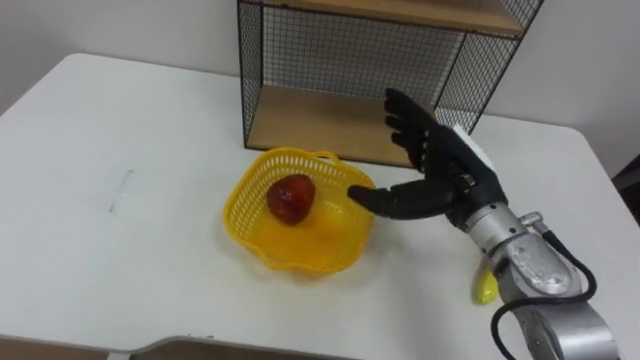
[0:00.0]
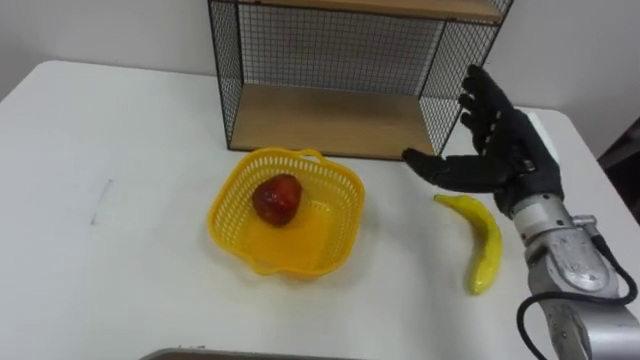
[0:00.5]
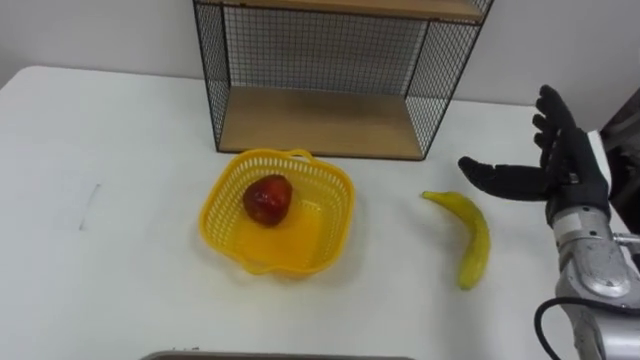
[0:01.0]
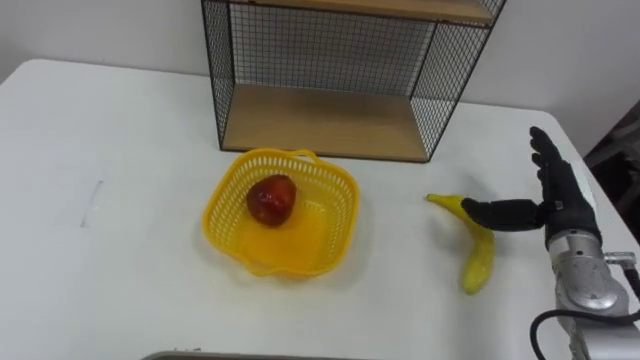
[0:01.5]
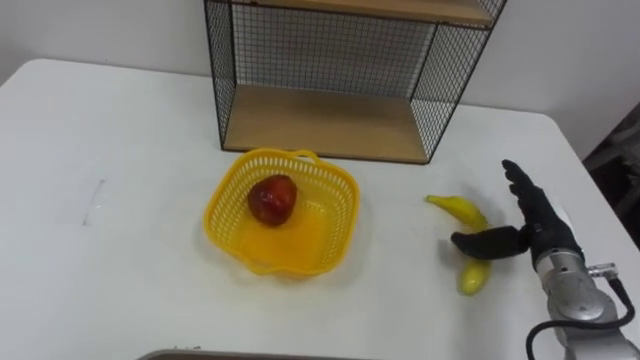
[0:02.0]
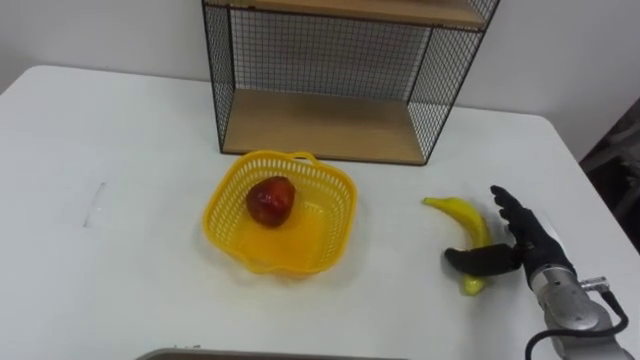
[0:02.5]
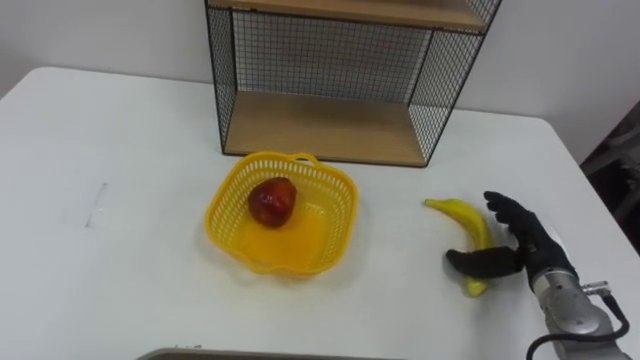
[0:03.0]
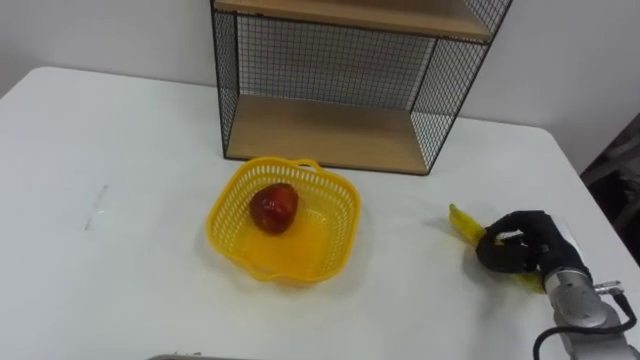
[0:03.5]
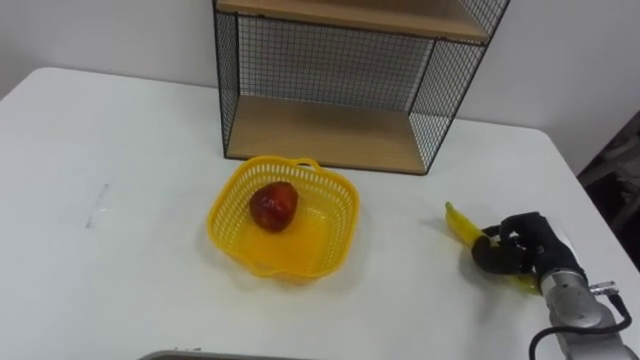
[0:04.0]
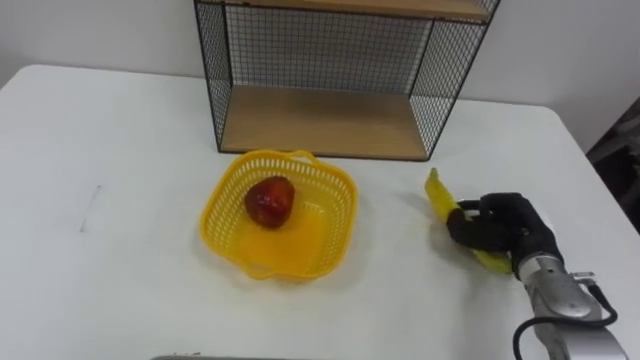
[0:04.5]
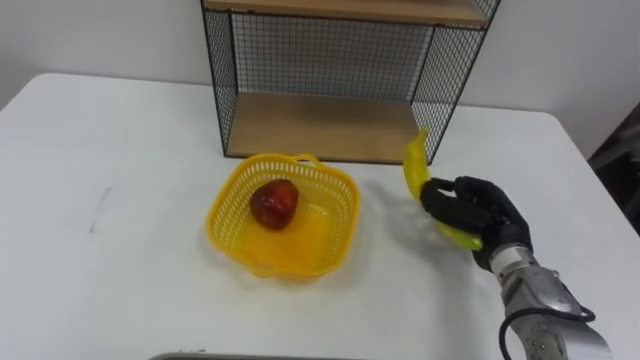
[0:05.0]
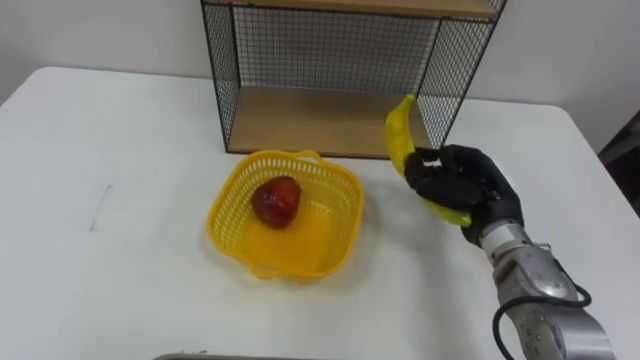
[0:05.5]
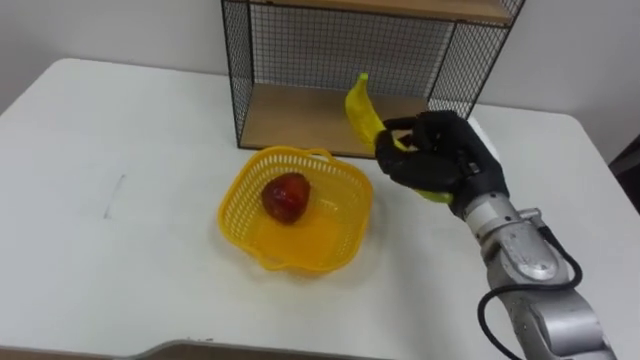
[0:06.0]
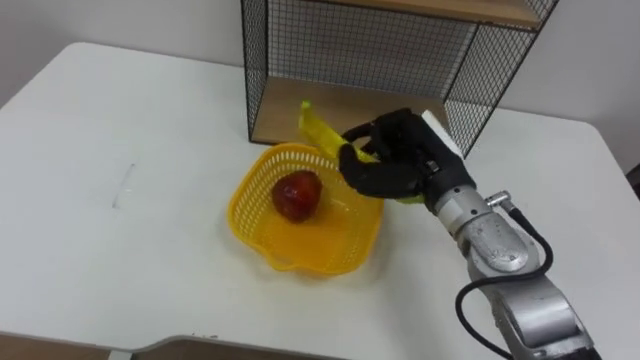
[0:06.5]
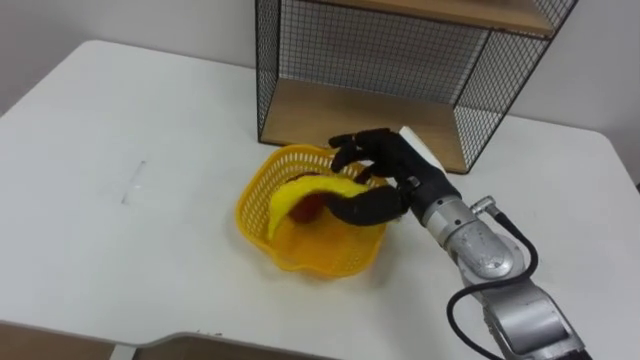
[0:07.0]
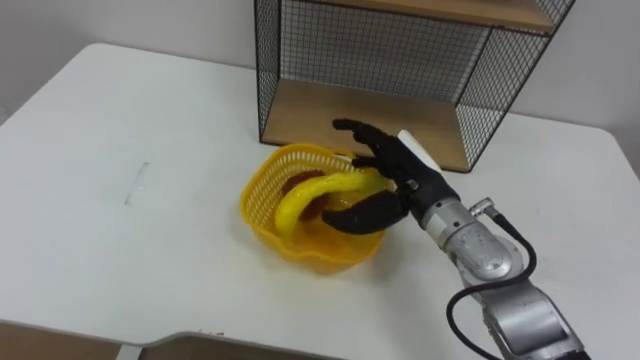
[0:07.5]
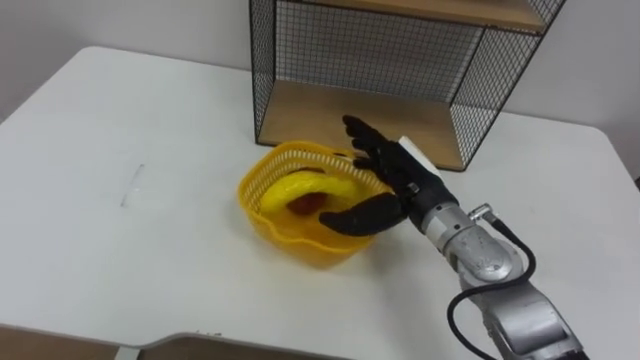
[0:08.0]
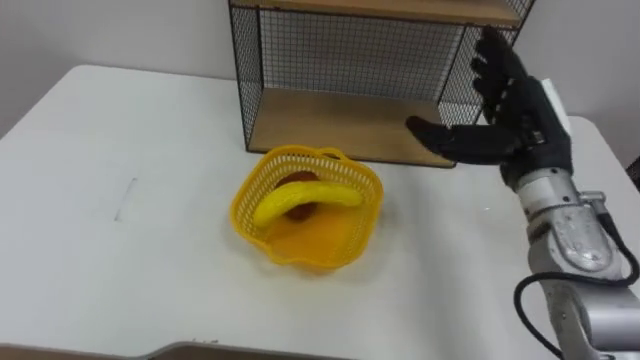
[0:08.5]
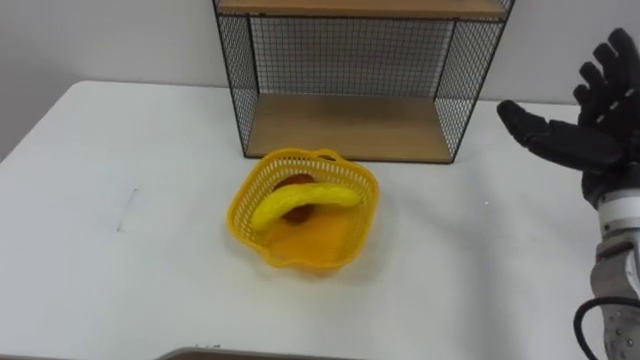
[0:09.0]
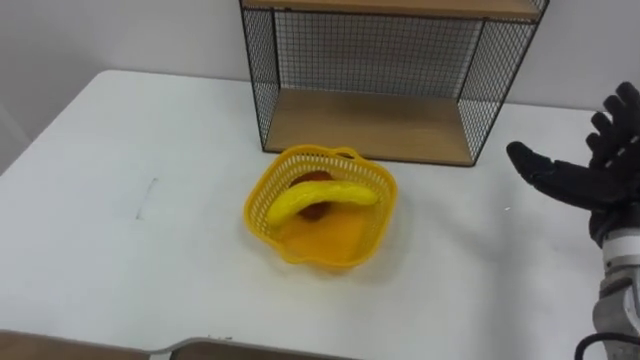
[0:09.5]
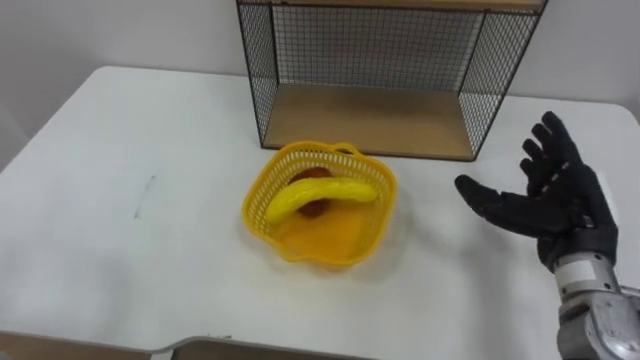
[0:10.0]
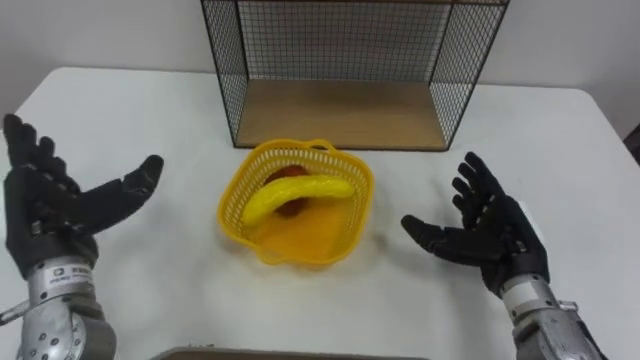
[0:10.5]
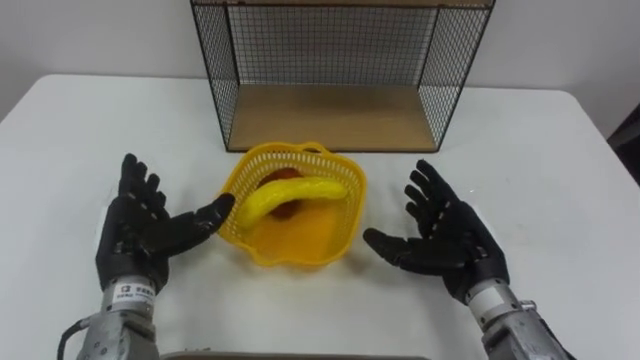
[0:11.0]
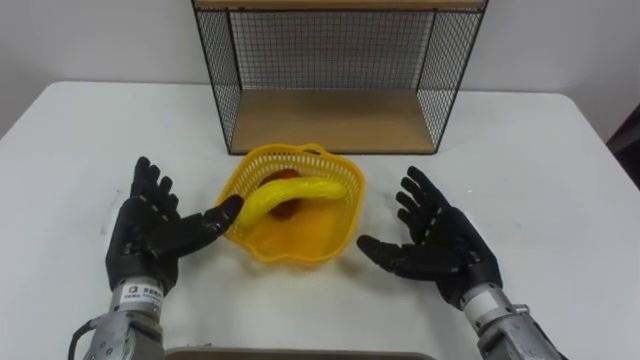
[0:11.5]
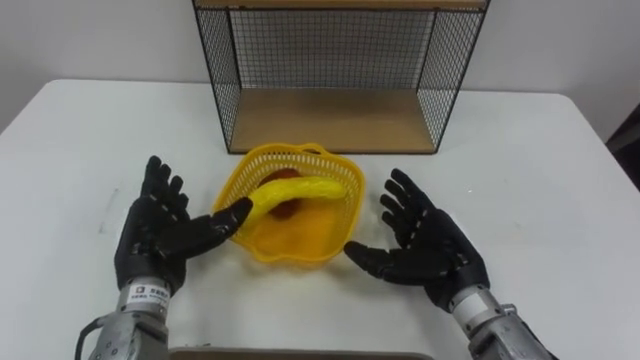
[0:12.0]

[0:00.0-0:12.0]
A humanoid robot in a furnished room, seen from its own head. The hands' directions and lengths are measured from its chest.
Task of the whole recording: Put the fruit on the table into the basket, then place the basket on the shelf.
0.0 to 2.0 s: The right hand heads to the right and downward, covering about 15 cm.
2.0 to 4.0 s: The right hand moves roughly 5 cm, and closes its fingers.
4.0 to 6.0 s: The right hand moves upward and to the left, about 20 cm.
6.0 to 8.0 s: The right hand shifts about 5 cm to the left, and opens up.
10.0 to 12.0 s: The right hand travels to the left and downward by approximately 15 cm.

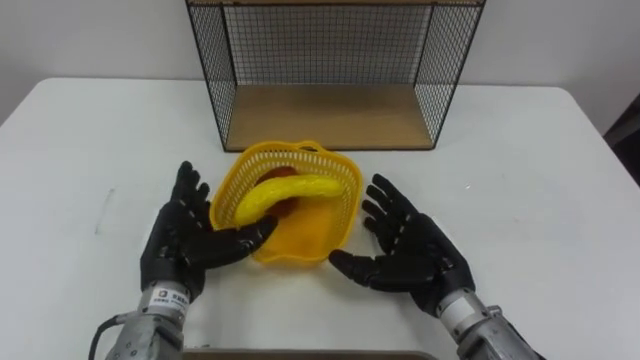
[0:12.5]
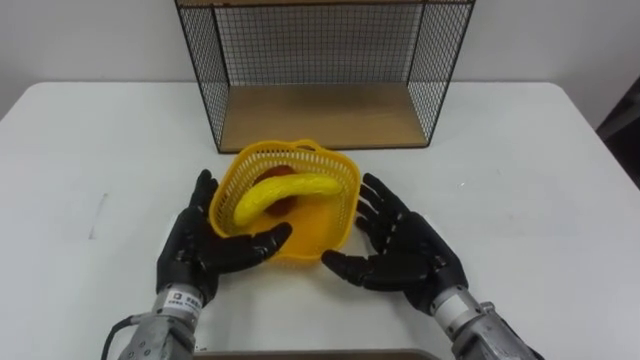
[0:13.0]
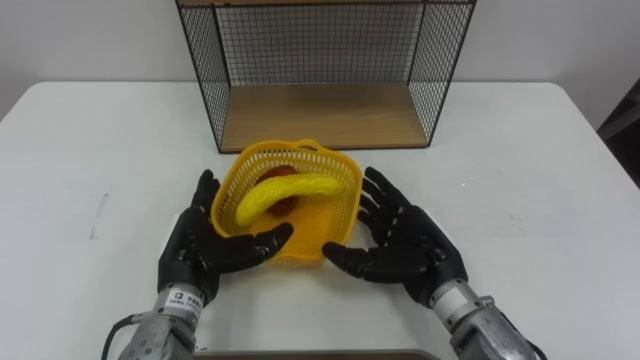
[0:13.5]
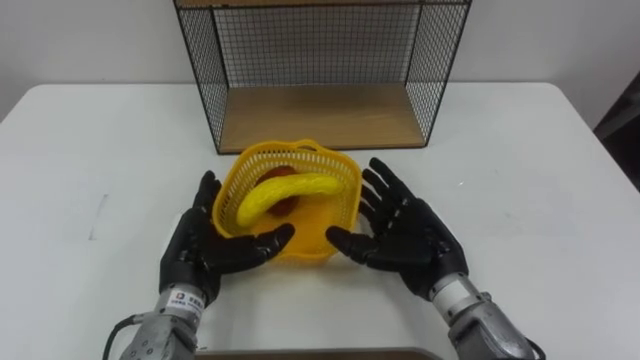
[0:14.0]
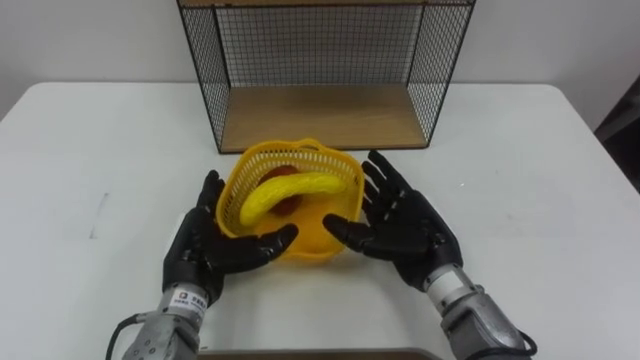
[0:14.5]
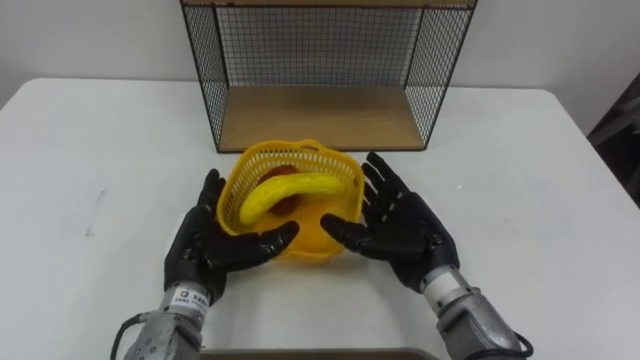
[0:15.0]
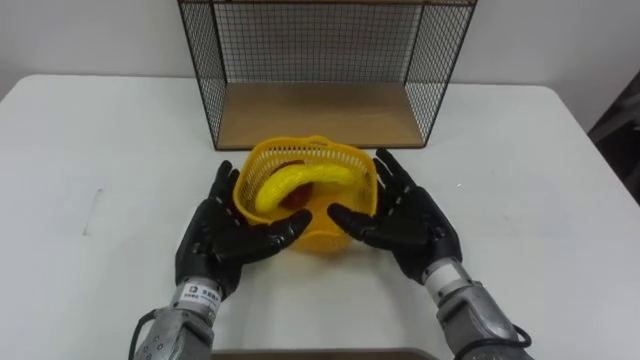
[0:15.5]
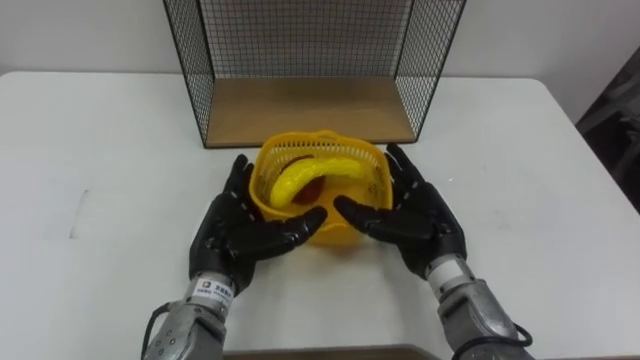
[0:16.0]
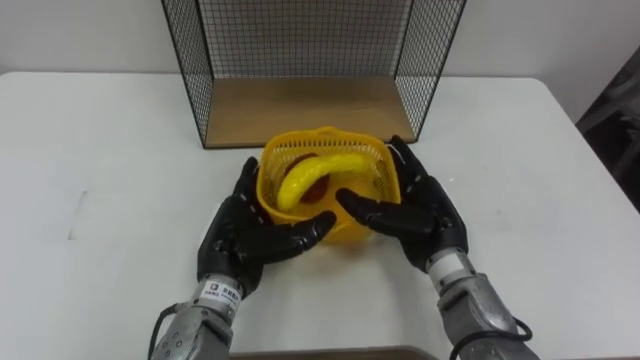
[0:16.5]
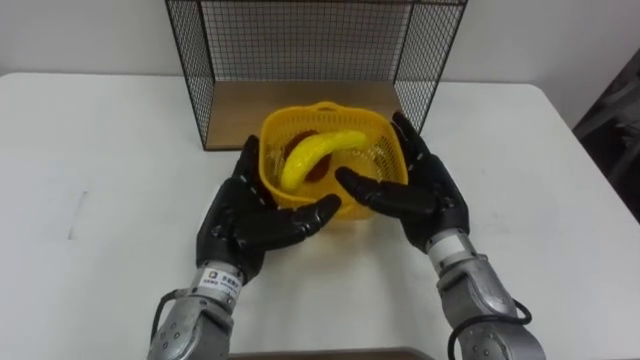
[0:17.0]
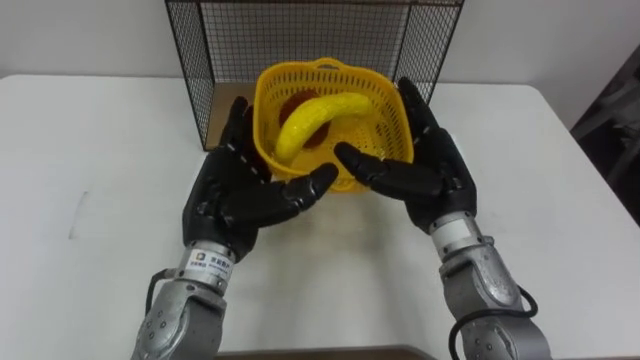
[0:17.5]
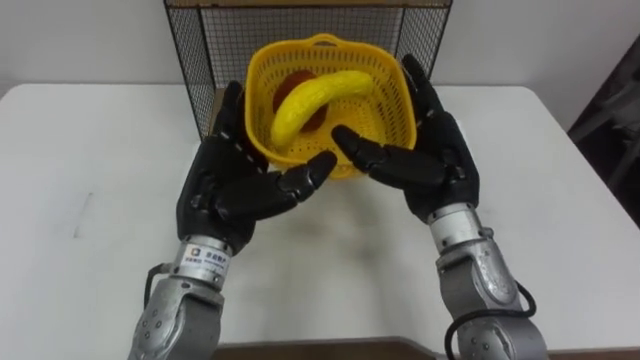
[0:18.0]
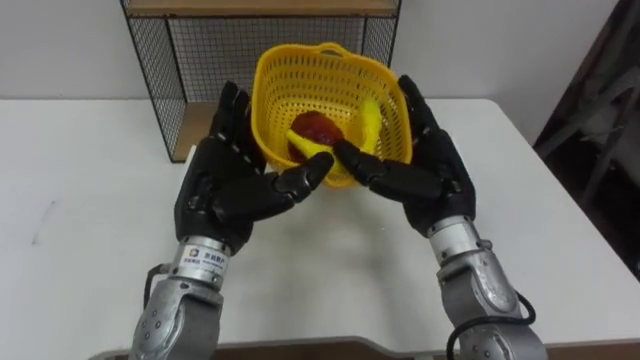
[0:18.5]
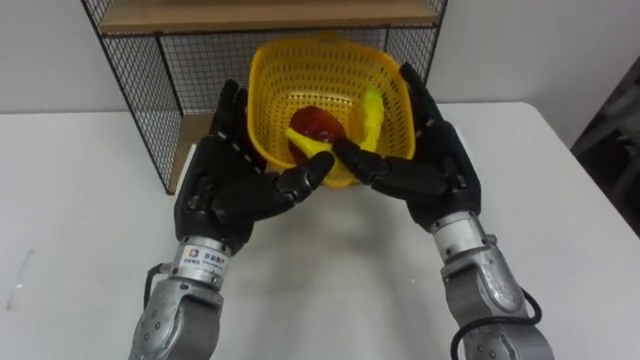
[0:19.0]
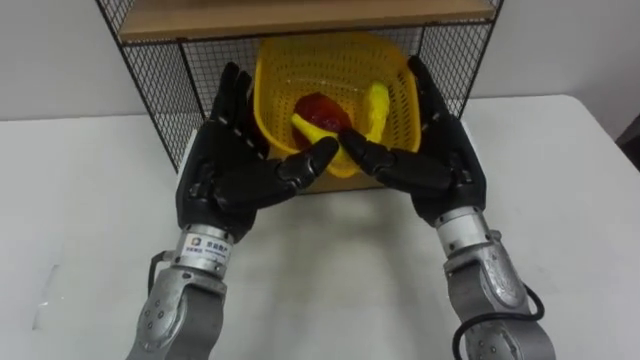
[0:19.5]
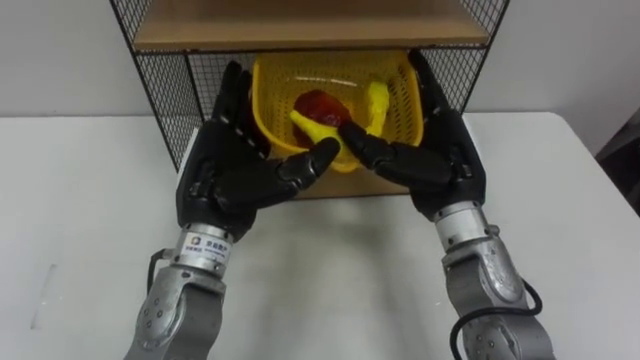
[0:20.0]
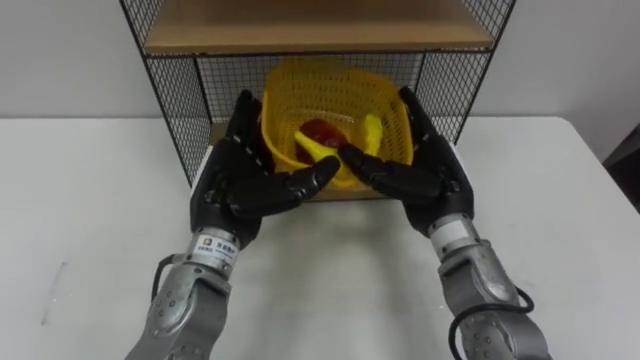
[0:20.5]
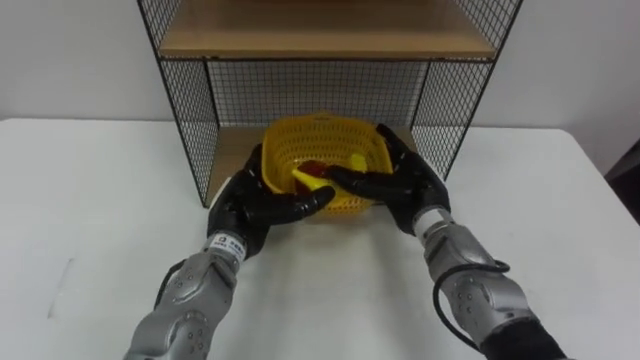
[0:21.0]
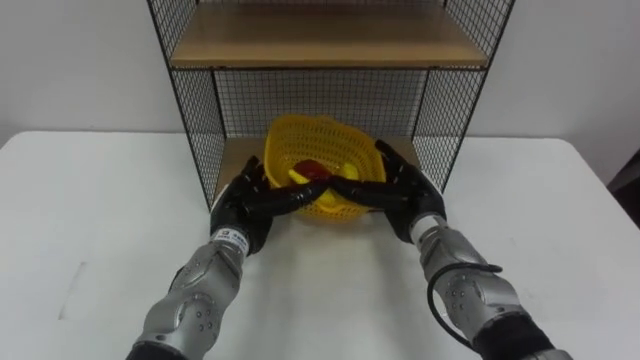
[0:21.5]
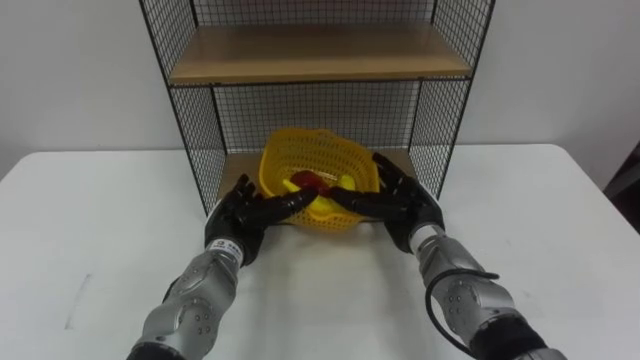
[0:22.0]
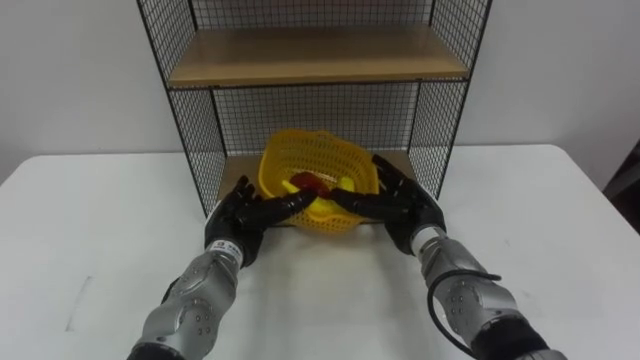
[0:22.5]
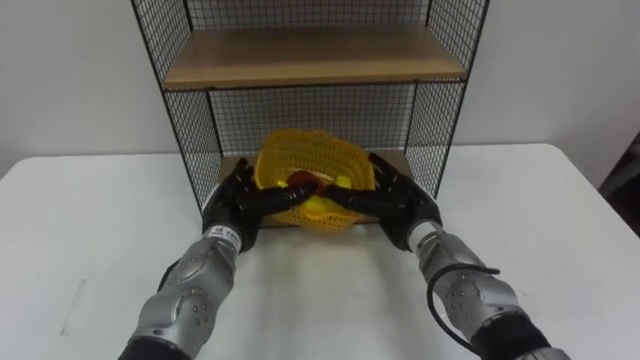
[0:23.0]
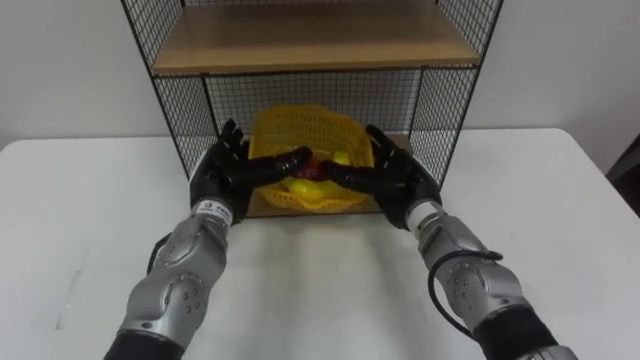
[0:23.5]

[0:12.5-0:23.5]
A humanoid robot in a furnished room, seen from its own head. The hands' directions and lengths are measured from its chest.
Task of the whole recording: Put the fruit on the table into the basket, then place the basket on the shelf.
12.5 to 14.5 s: The hands stay close to where they were, moving slightly.
16.0 to 18.0 s: Both hands move upward, some 10 cm.
20.0 to 21.5 s: Both hands travel together downward, about 15 cm.
21.5 to 23.5 s: The left hand changes place by about 5 cm.
